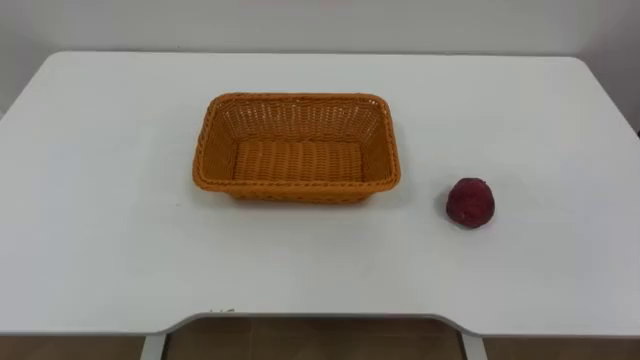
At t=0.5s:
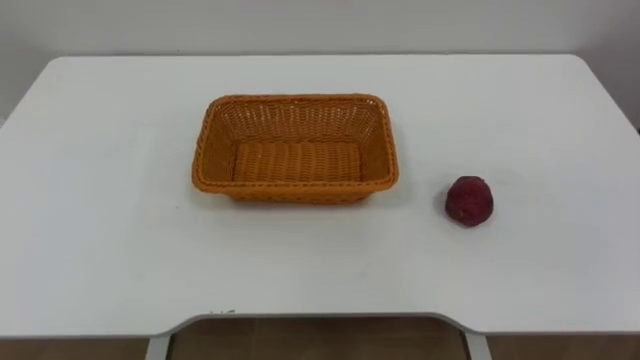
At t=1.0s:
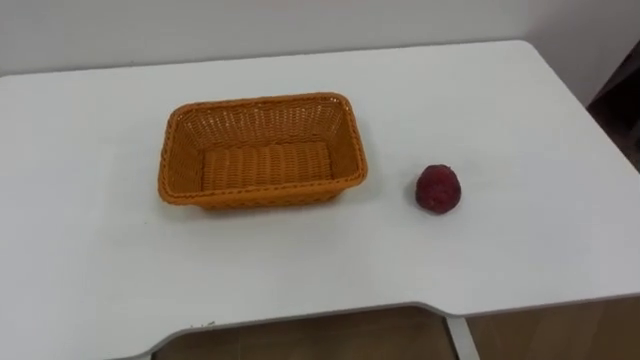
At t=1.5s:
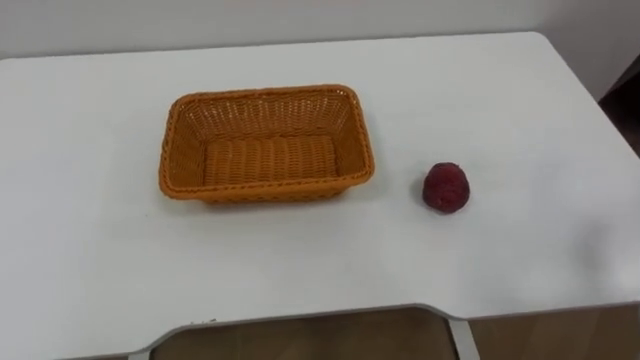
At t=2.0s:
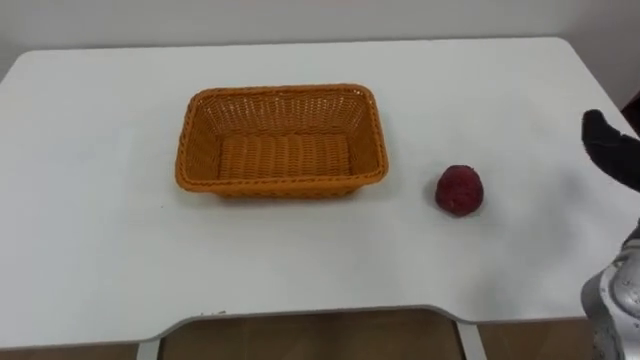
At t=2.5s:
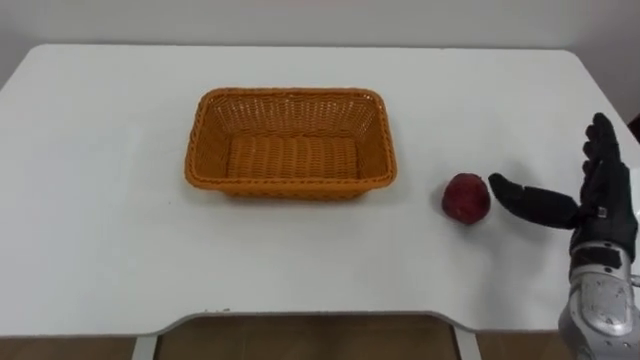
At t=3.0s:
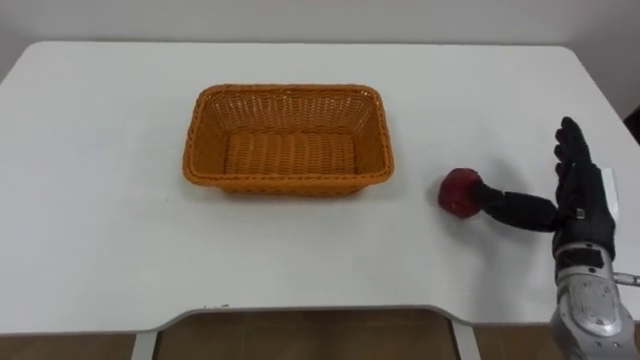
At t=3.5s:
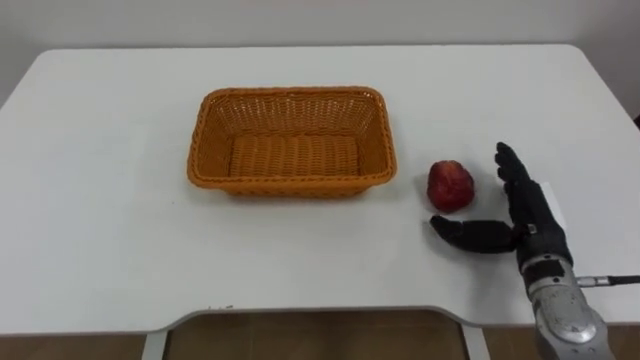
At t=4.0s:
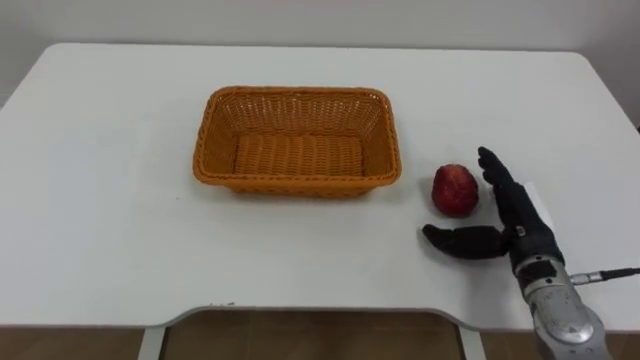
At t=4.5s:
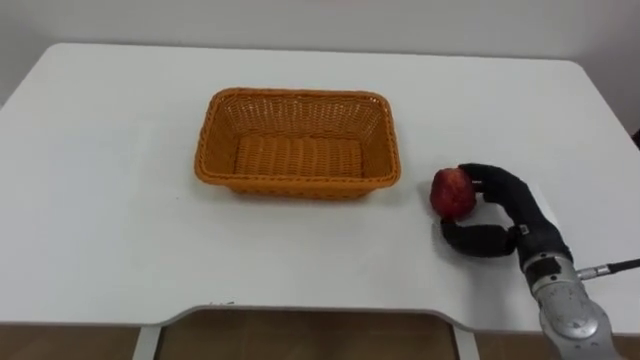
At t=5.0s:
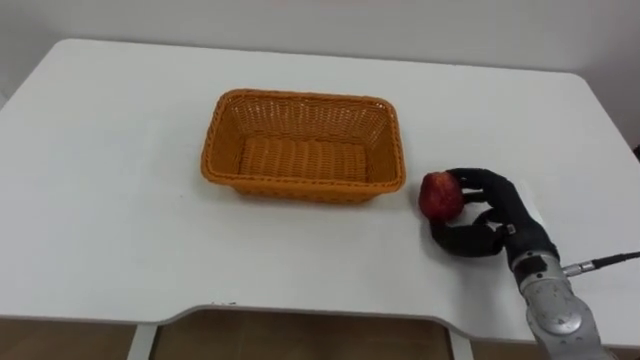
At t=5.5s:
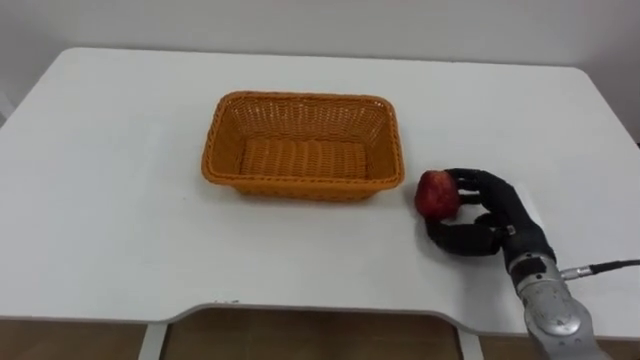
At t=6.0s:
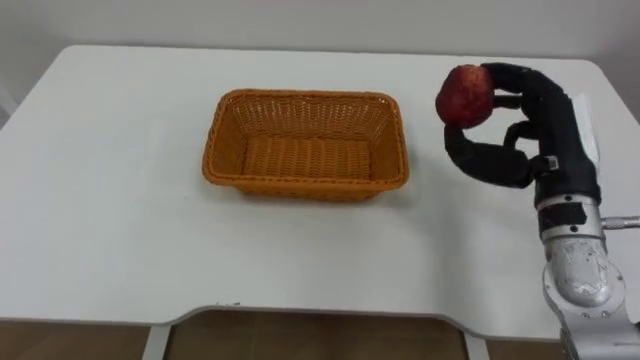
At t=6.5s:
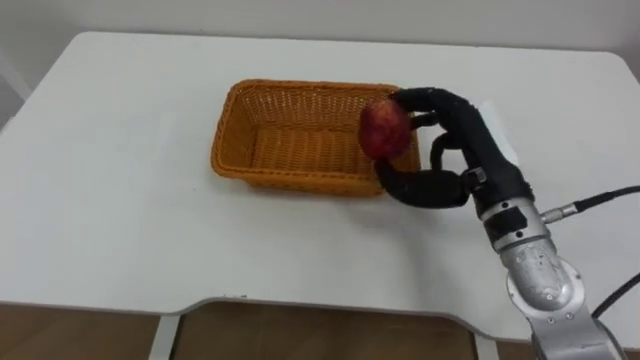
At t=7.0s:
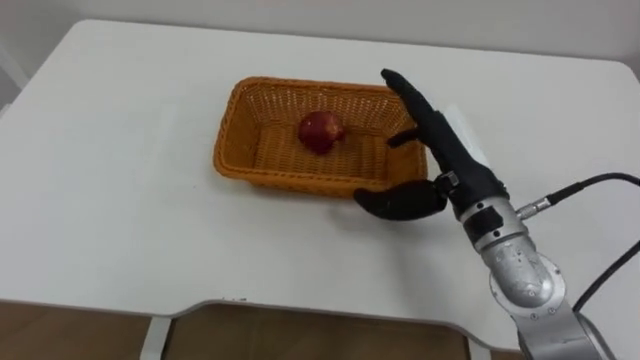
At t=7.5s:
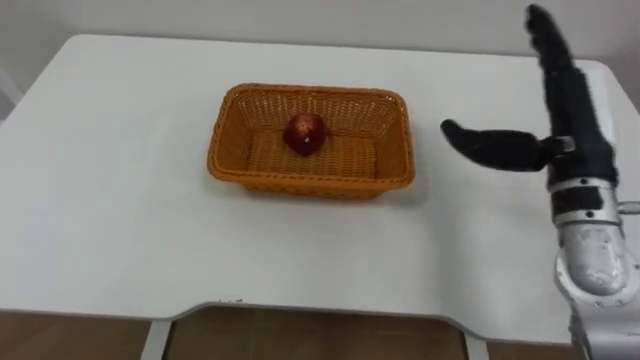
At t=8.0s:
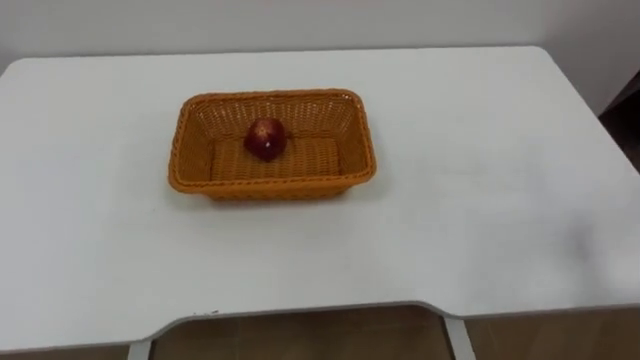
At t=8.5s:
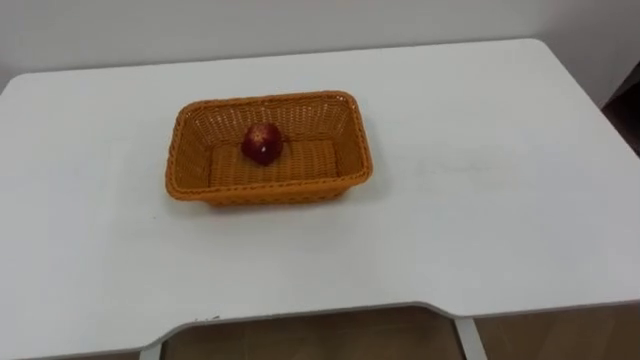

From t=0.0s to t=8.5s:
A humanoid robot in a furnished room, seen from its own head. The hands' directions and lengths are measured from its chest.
Task of the whole recording: Pick the apple and place it in the box.
From t=4.0s to t=6.5s: The right hand travels upward and to the left by some 15 cm, and closes up.

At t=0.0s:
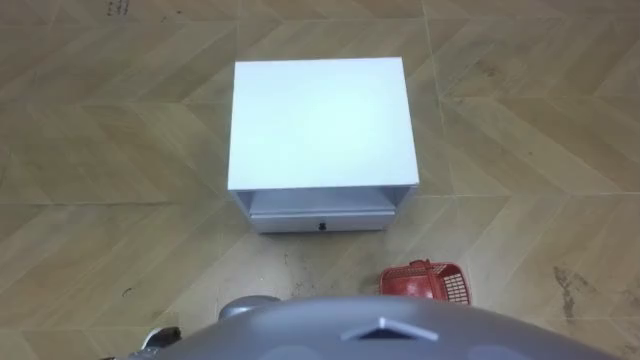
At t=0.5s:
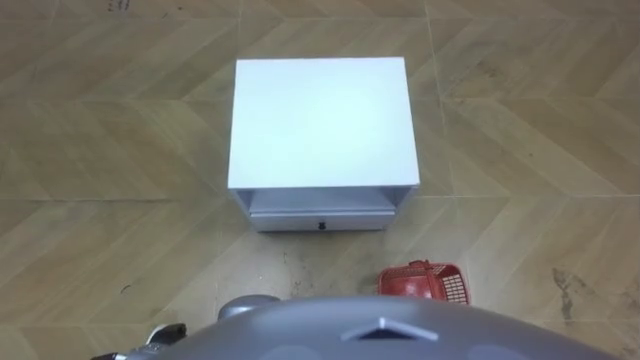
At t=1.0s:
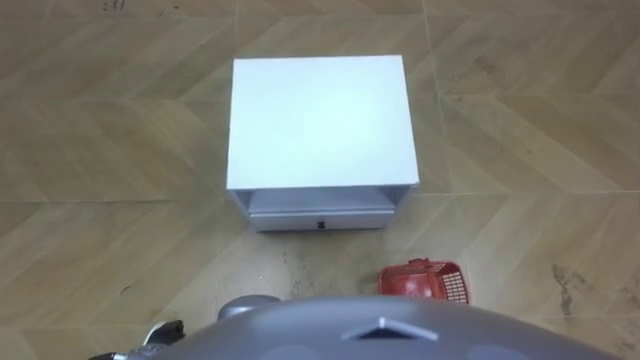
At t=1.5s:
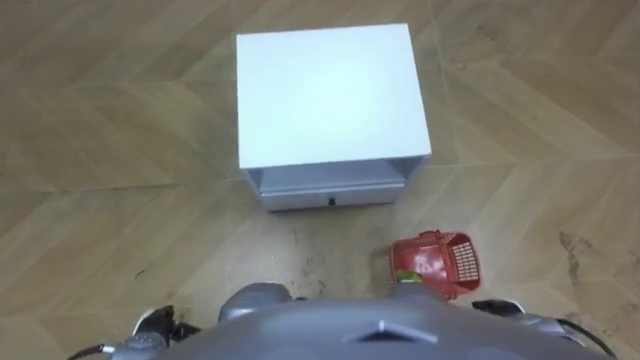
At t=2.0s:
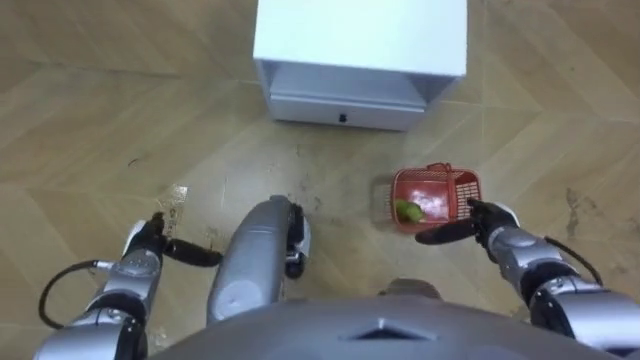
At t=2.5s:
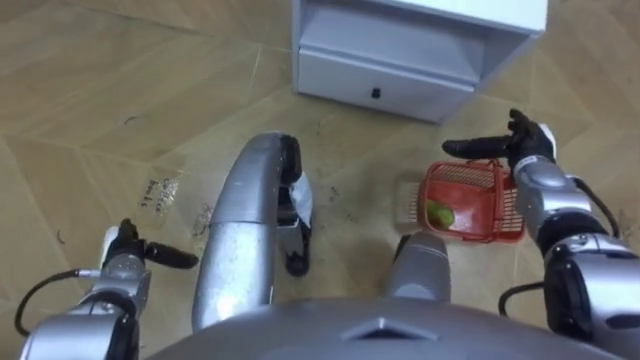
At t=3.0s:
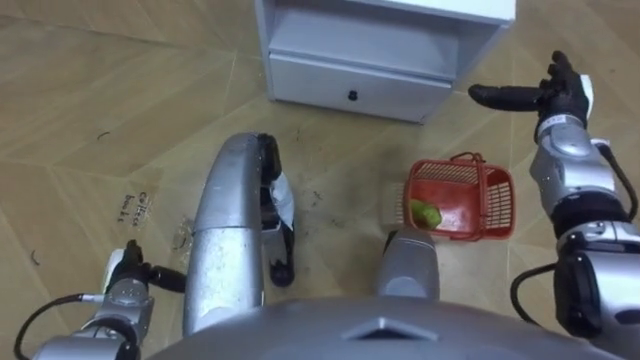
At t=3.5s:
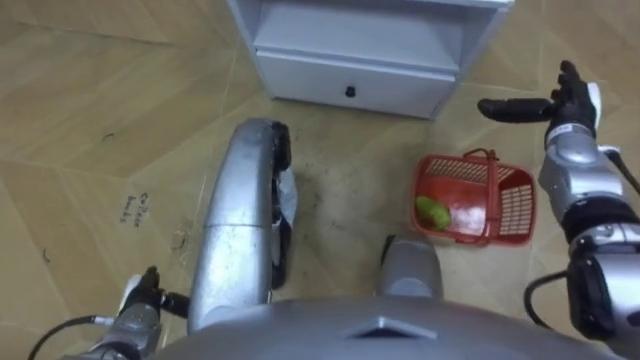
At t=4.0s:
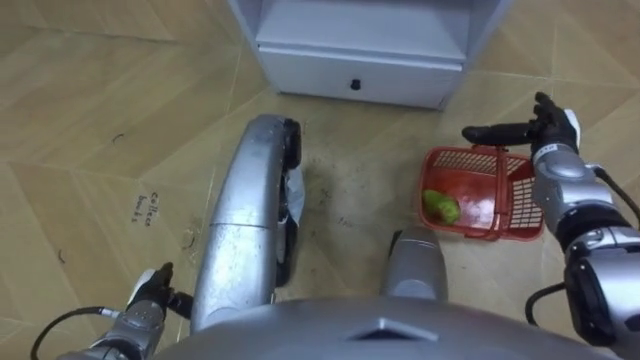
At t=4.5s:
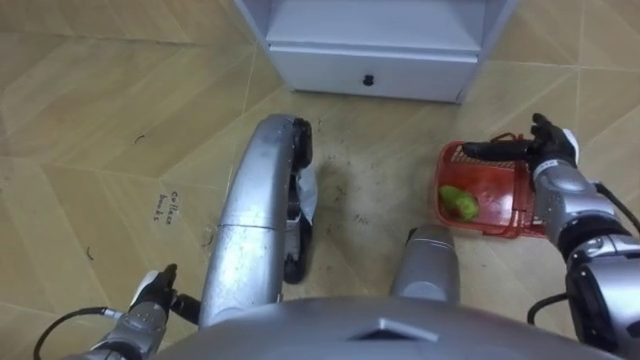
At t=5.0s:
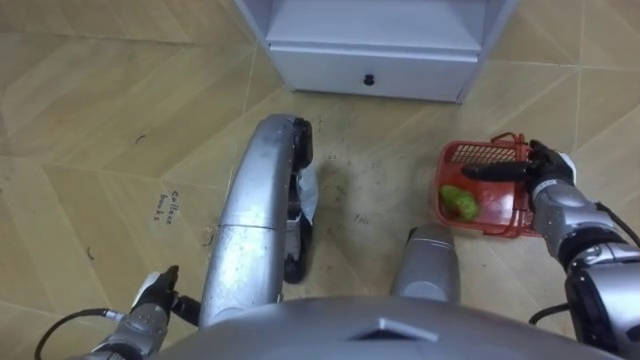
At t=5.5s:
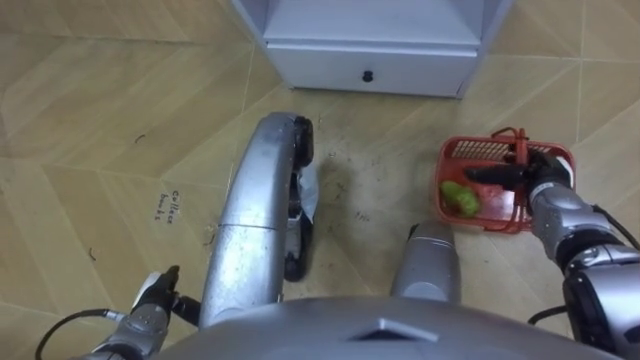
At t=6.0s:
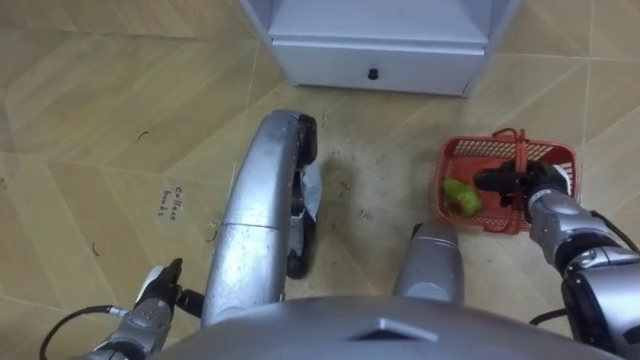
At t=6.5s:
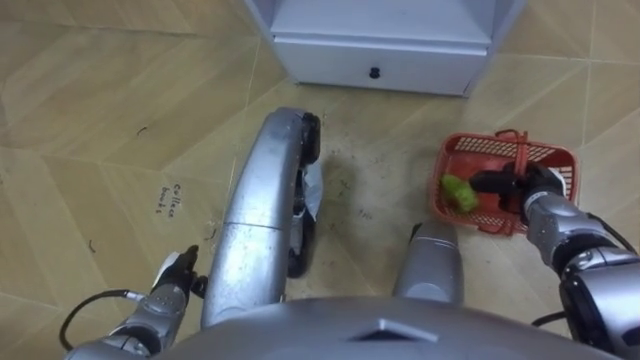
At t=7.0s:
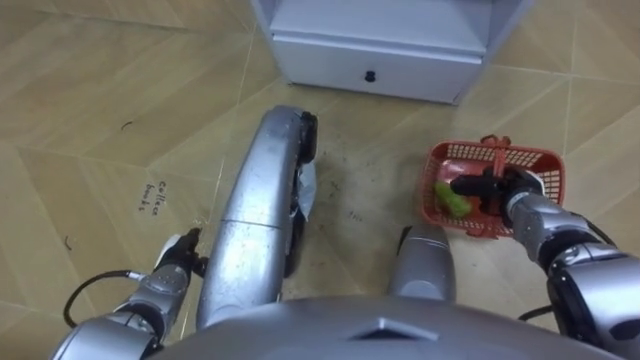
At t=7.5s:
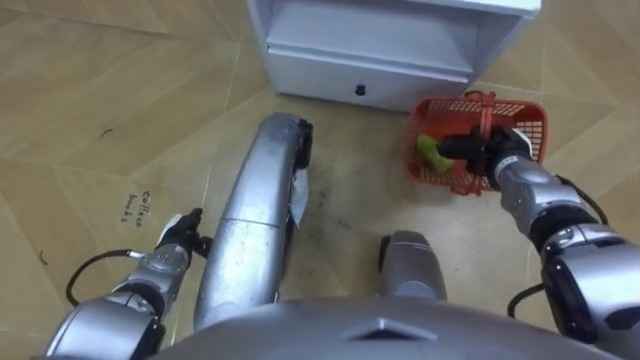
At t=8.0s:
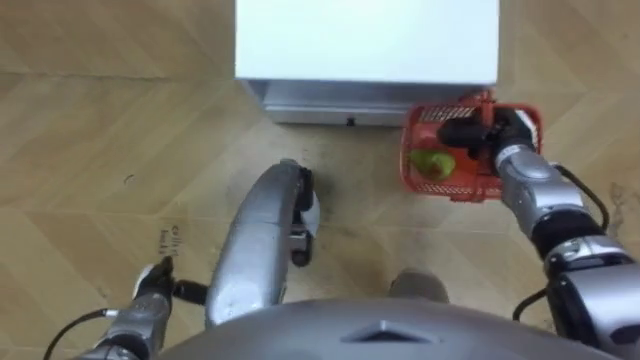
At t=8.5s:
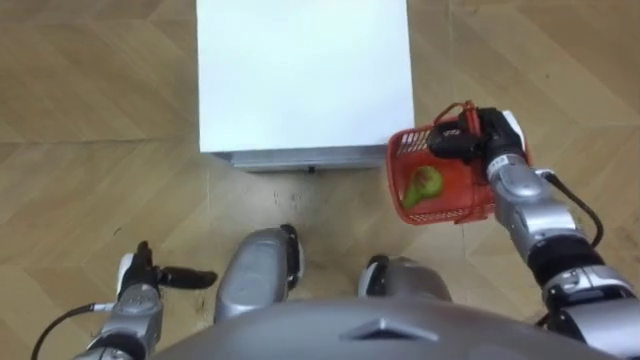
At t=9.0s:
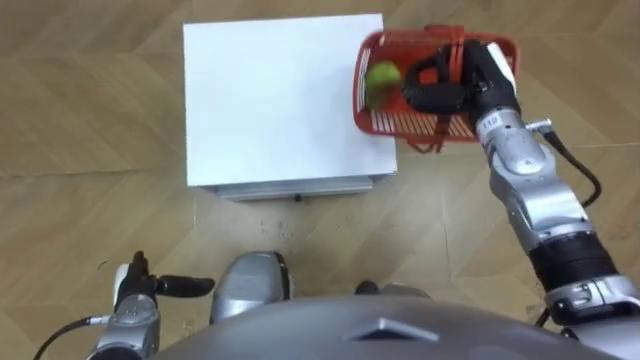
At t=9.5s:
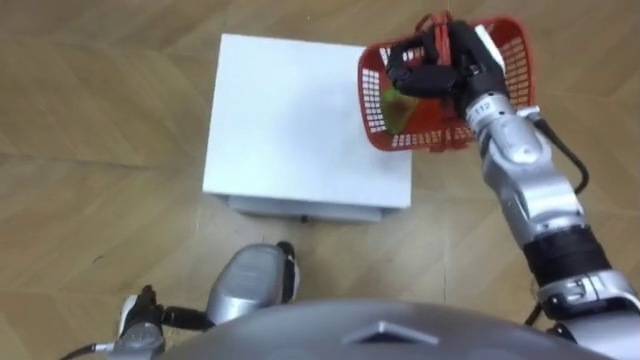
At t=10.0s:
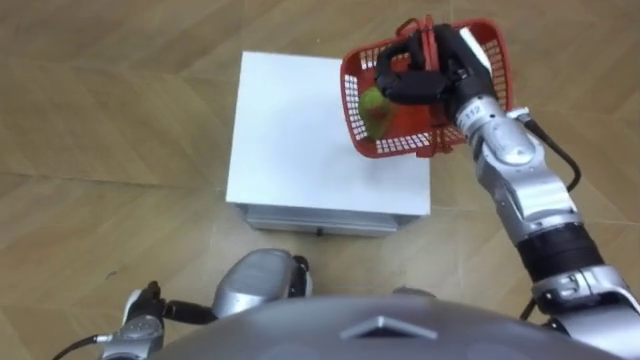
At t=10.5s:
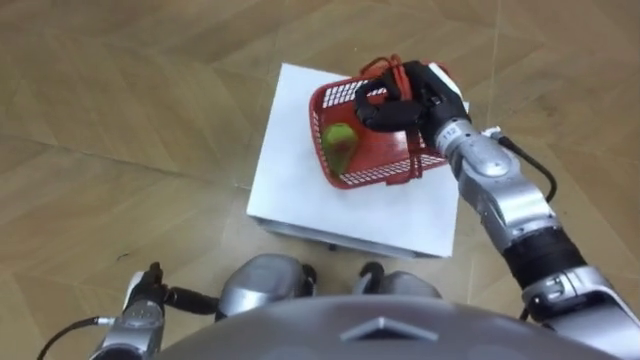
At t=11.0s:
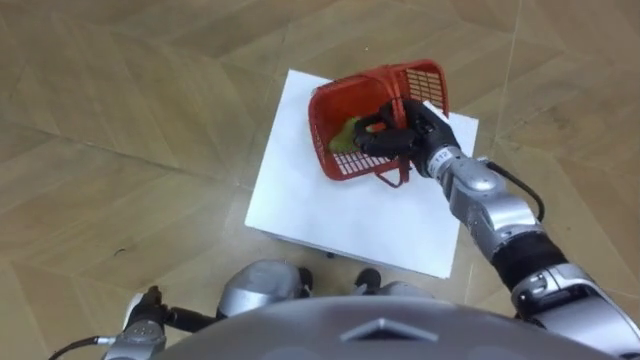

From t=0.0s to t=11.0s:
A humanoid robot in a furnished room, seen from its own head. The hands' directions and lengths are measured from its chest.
Task of the whole recording: Pick up the fruit basket from the floor and place it on the cabinet.
From t=2.0s to t=3.5s: The right hand moves forward, upward and to the right, about 20 cm, while the left hand goes approximately 10 cm backward.
From t=3.5s to t=5.5s: The right hand travels backward and downward by approximately 10 cm.
From t=5.5s to t=7.5s: The right hand heads to the left, covering some 5 cm, and closes its fingers; the left hand goes roughly 10 cm forward.
From t=7.5s to t=9.0s: The robot faces about 20 degrees further to its right. The left hand moves backward and to the left, some 10 cm, while the right hand moves upward and to the left, roughly 15 cm.
From t=9.0s to t=11.0s: The right hand is displaced downward and to the left by some 10 cm.
